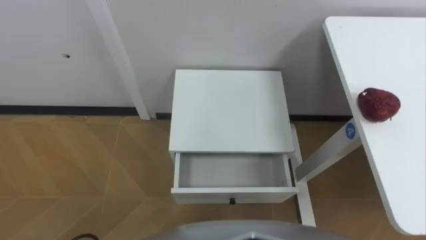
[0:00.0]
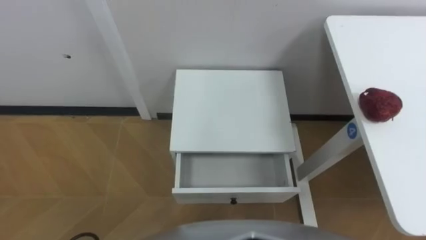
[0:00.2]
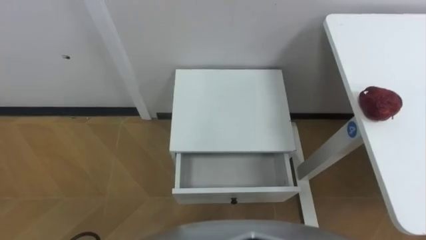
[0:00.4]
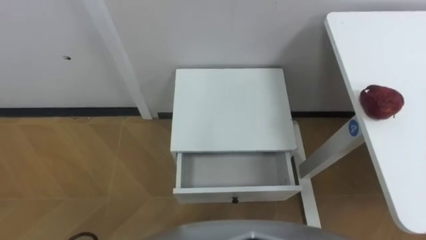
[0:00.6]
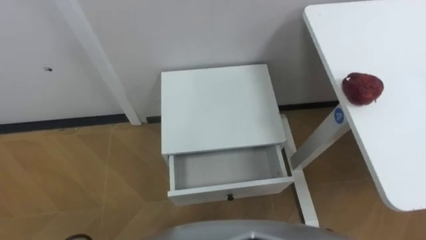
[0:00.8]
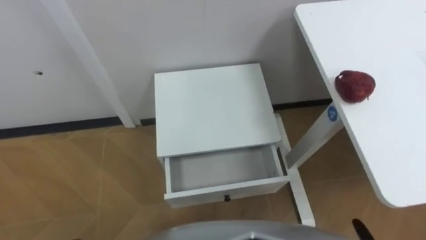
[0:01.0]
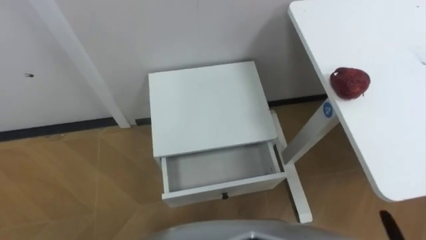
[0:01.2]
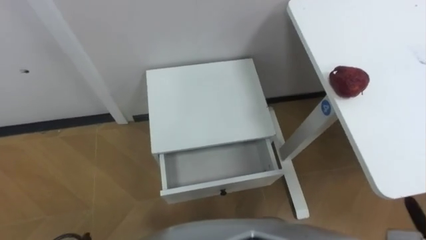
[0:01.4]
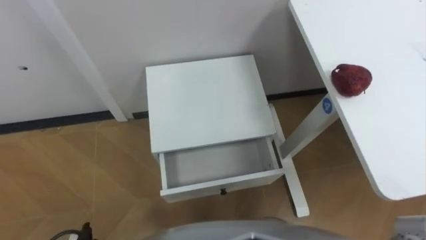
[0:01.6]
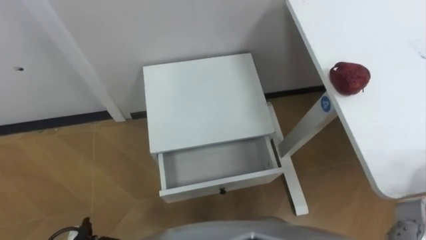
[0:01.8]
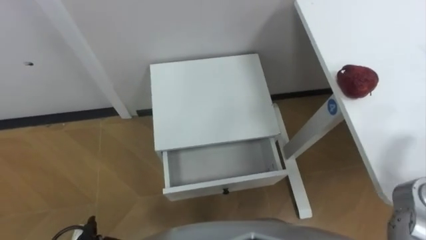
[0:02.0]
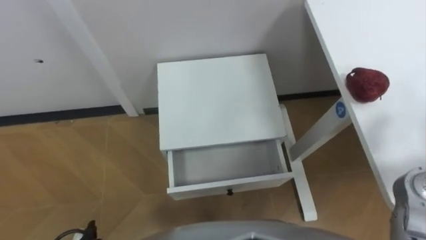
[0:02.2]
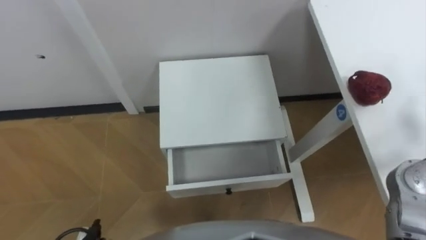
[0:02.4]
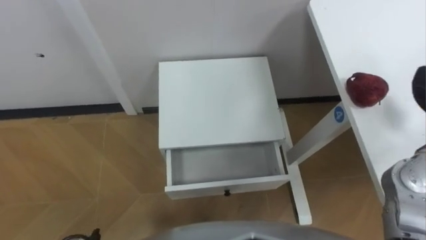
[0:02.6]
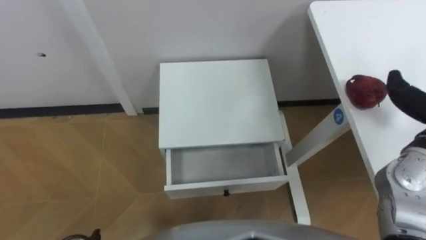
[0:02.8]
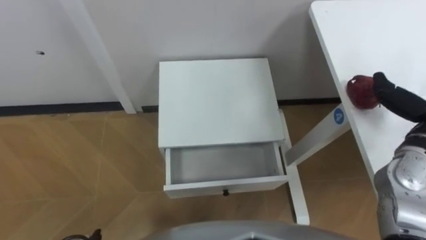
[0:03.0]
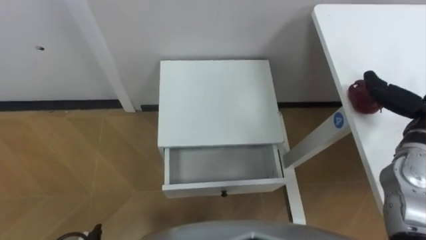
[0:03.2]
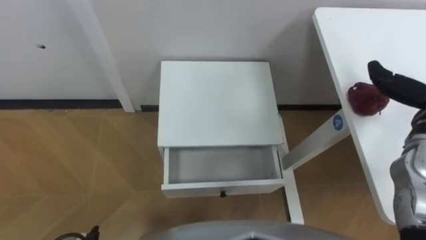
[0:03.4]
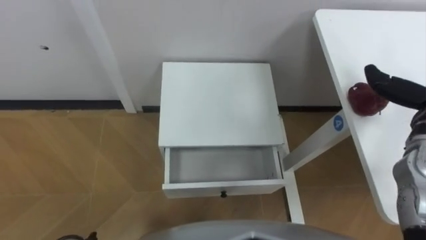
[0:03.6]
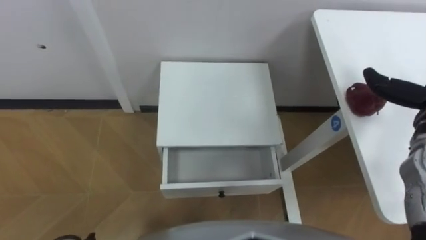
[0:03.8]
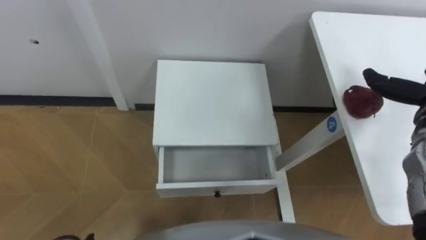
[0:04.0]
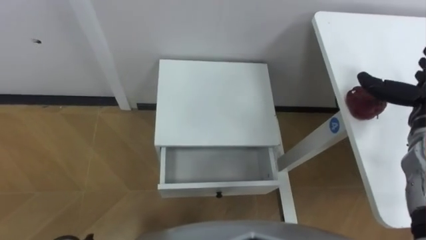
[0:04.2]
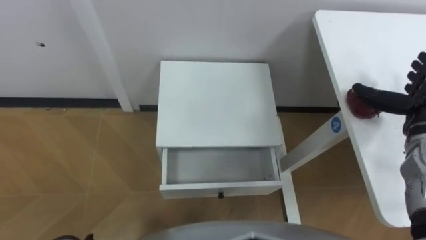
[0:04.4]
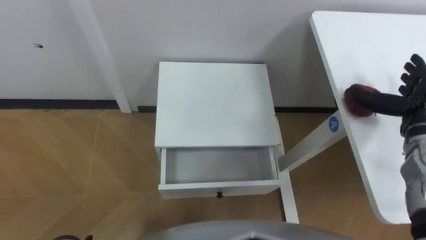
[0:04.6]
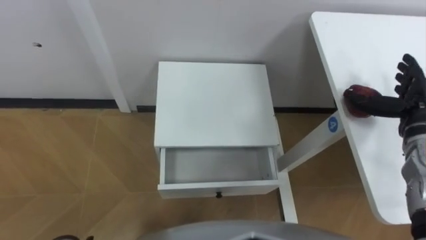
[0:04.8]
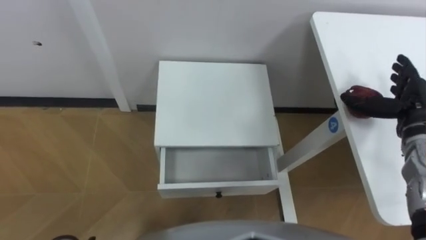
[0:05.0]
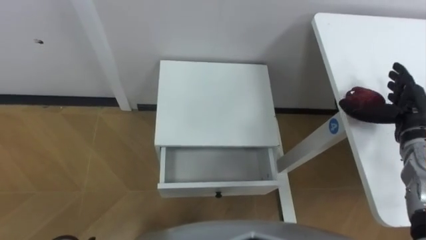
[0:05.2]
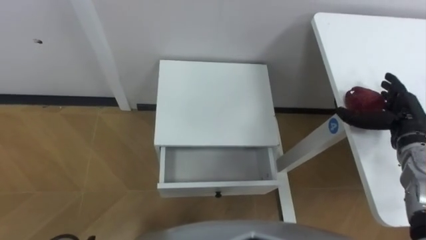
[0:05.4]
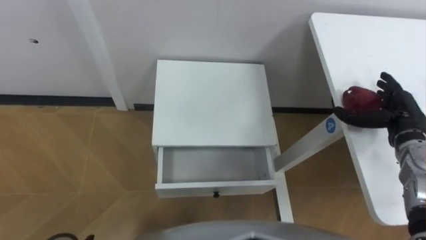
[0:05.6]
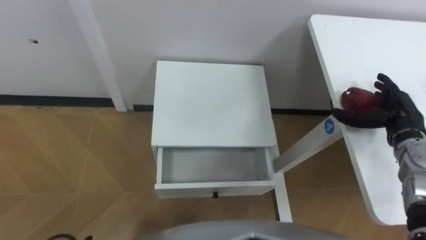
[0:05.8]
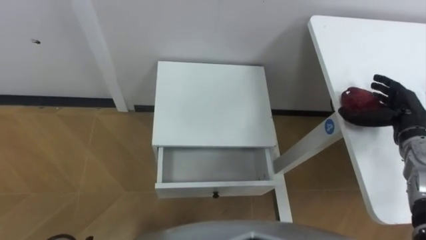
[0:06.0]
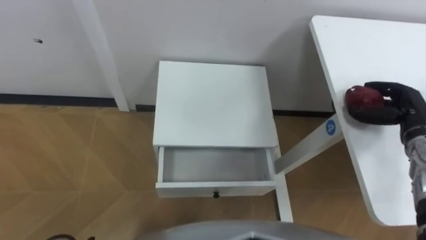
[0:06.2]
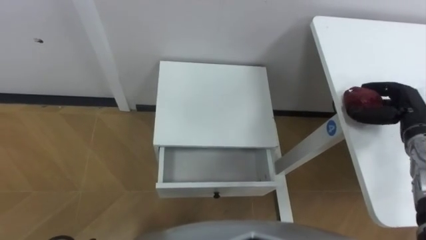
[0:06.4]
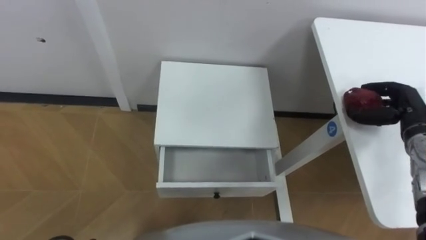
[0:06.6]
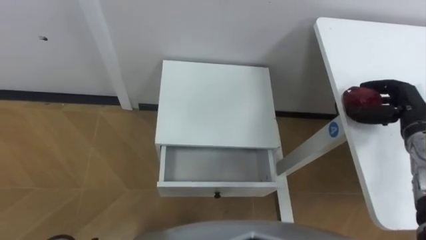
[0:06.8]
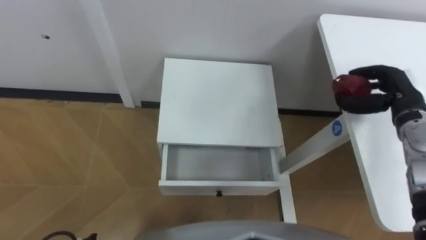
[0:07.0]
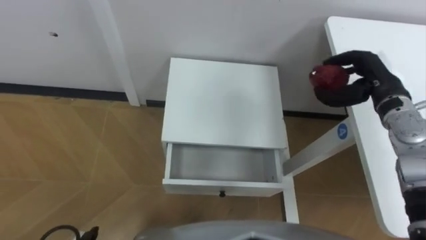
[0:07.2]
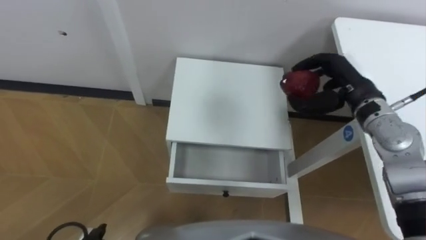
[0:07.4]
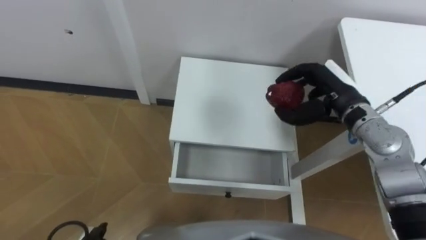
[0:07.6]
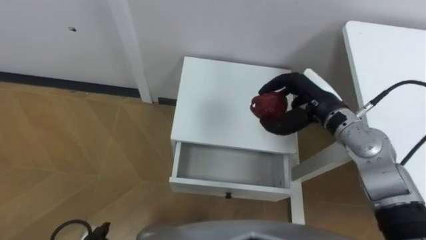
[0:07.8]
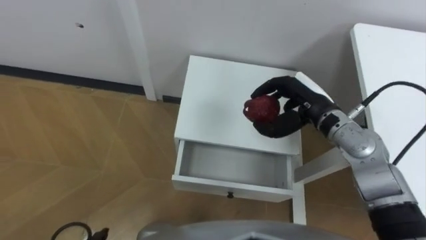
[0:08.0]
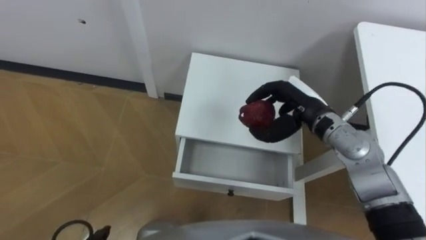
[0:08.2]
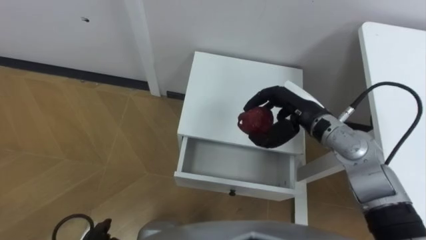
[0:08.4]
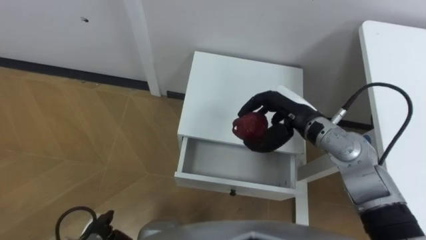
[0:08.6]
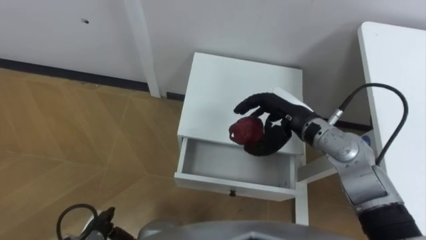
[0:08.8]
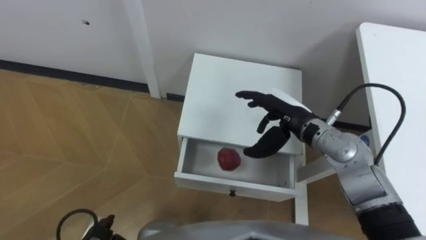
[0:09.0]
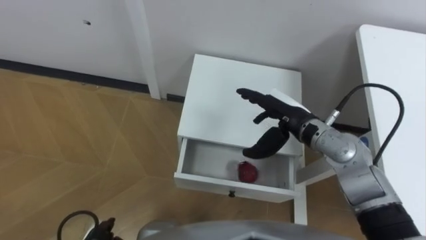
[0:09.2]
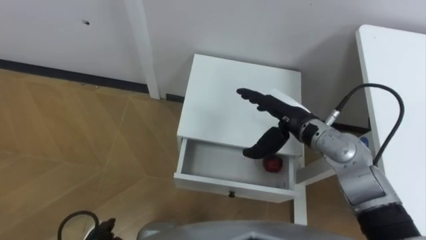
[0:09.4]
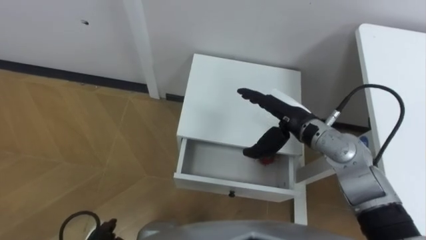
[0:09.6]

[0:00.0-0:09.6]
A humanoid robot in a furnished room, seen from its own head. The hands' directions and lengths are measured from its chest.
Task of the whole recording: Pick up the apple from the table, put it in the drawer, and close the drawer with leg.
0:04.8 to 0:06.4: The right hand closes up.
0:06.4 to 0:08.0: The right hand heads to the left, covering roughly 20 cm.
0:08.0 to 0:09.6: The right hand opens its fingers.

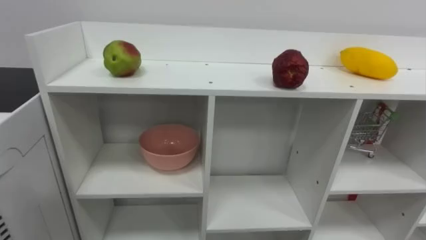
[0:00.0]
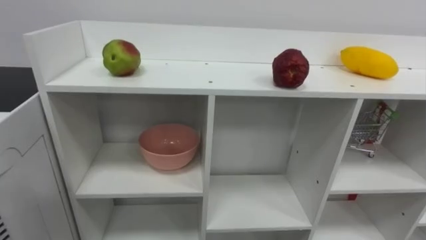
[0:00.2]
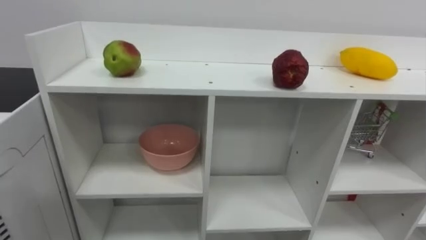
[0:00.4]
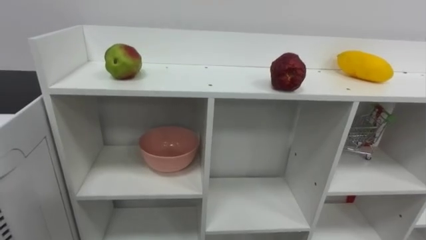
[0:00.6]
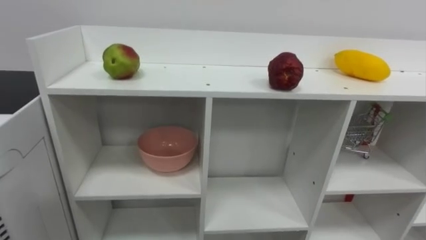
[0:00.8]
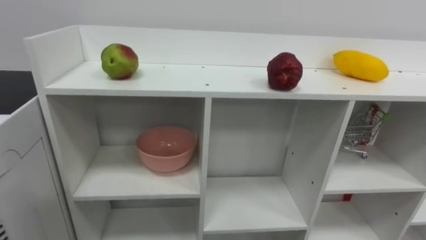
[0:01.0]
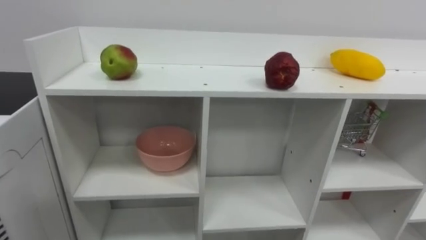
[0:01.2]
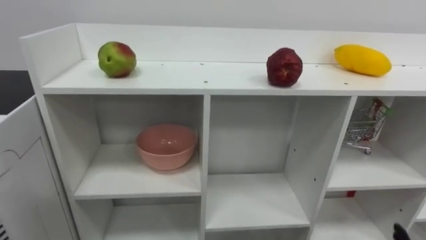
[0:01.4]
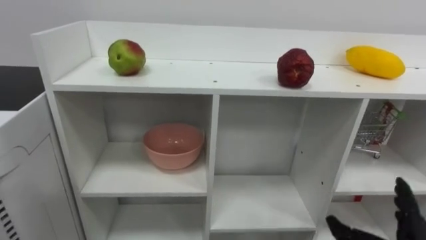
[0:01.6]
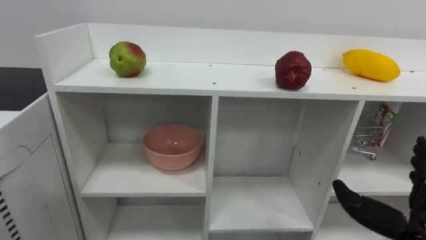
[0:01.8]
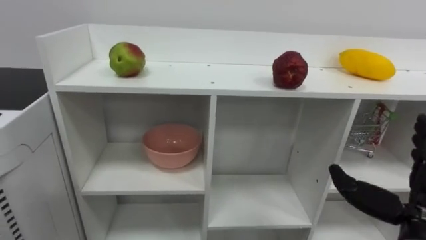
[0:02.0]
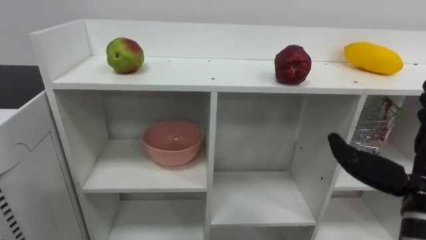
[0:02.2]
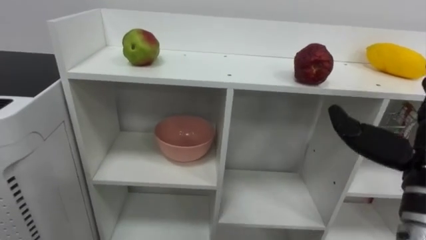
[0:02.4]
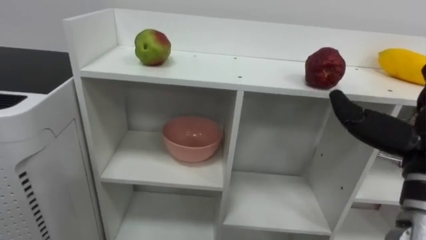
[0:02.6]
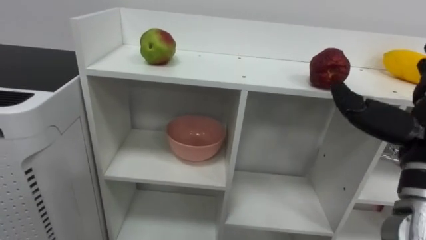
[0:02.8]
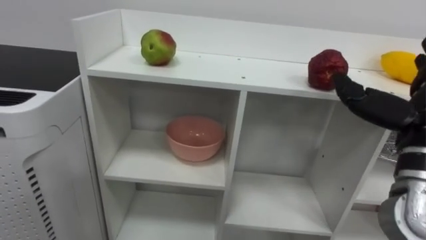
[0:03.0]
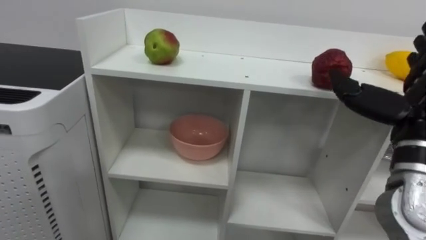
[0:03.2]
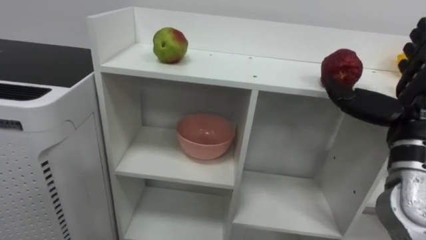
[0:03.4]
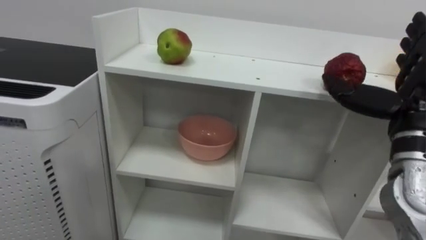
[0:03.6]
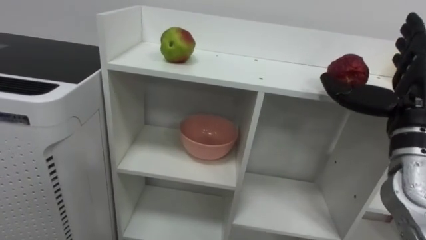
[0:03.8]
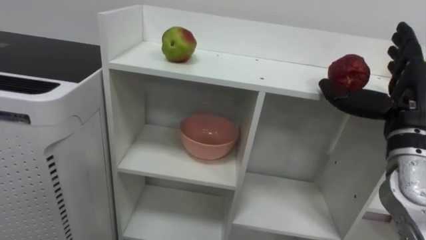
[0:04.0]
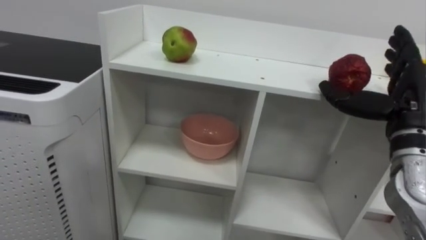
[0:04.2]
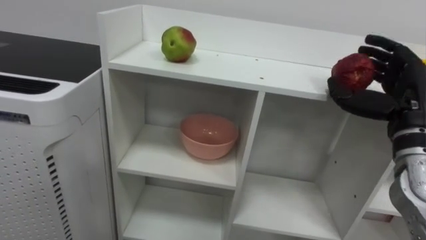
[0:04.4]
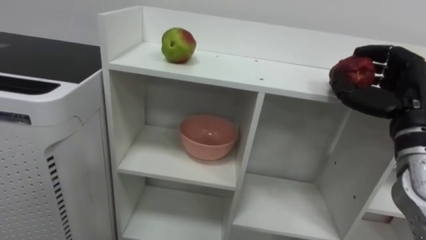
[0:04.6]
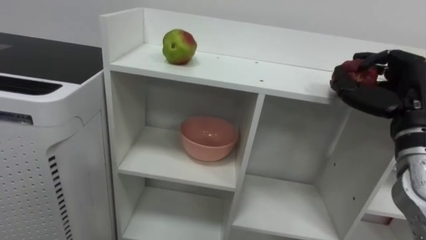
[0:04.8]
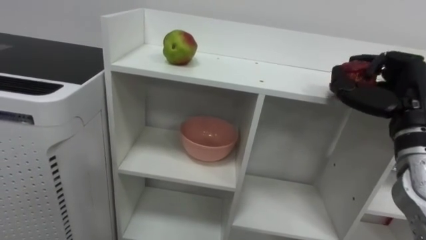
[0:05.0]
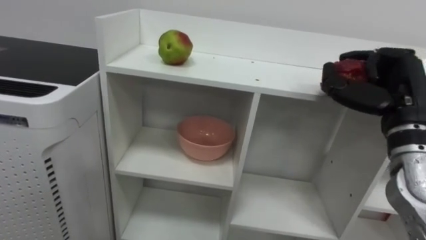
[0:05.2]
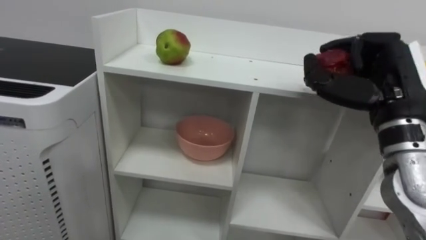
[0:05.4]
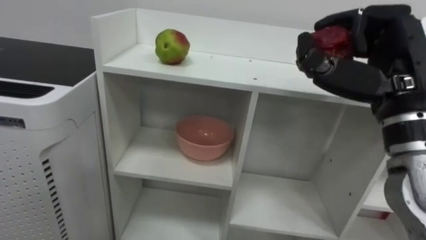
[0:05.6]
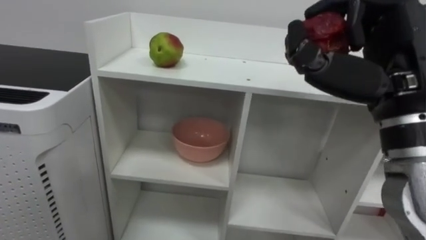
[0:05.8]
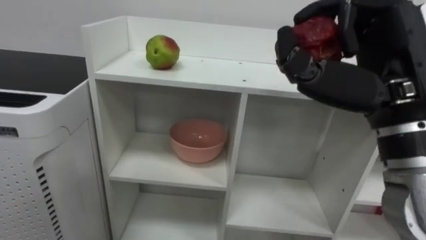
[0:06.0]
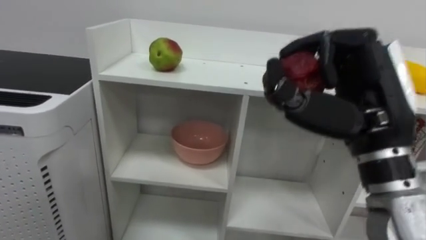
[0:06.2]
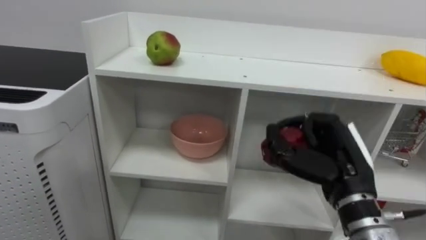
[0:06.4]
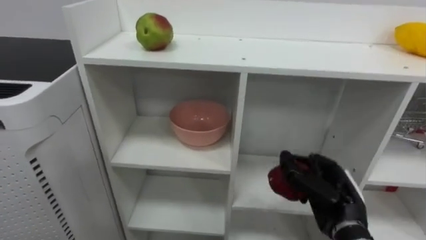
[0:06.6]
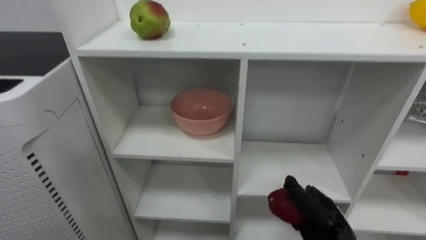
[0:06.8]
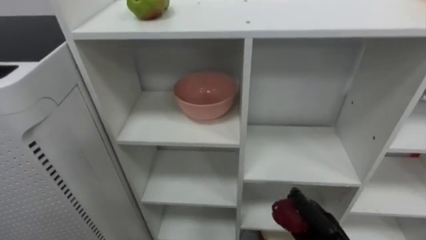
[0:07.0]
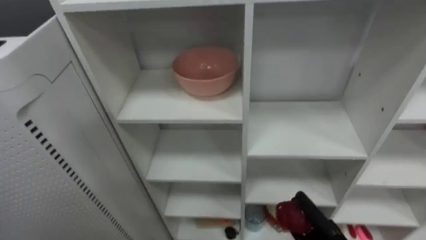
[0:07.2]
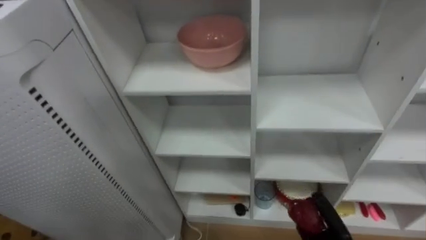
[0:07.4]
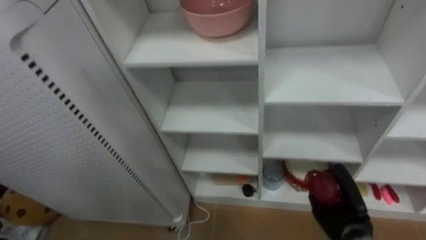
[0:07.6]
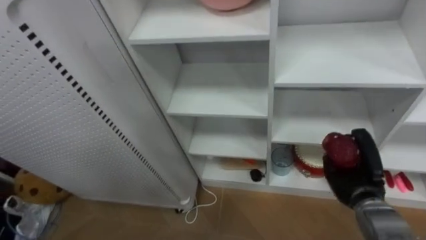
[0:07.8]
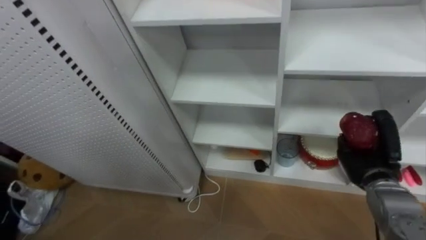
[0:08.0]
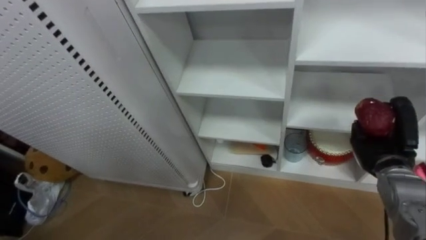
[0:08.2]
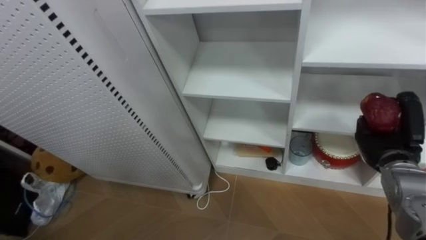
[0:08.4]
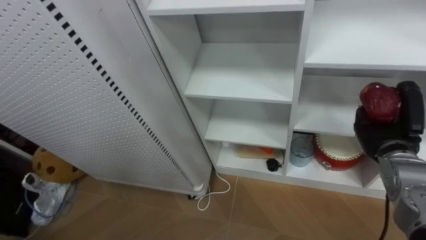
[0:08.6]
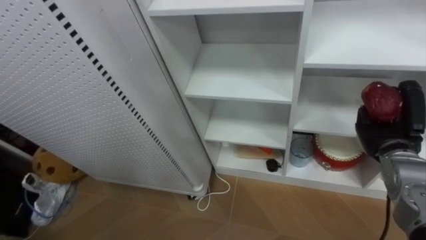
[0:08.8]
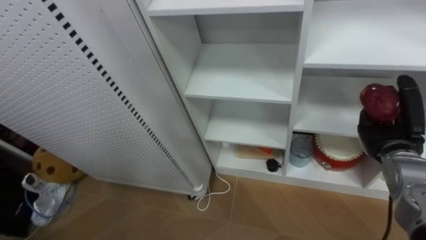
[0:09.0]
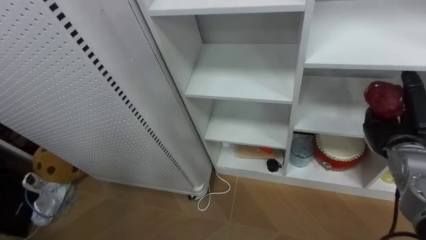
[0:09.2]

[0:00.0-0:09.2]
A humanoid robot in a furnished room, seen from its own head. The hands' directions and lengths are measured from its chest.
Task of the whole recording: Put the apple in the cell in the second column from the left and the second row from the top.
0:03.0 to 0:04.6: The right hand shifts some 5 cm forward, and closes its fingers.
0:04.6 to 0:06.2: The right hand travels to the left, backward and upward by approximately 15 cm.
0:07.6 to 0:09.2: The right hand is displaced upward and to the right by about 20 cm, and opens.
